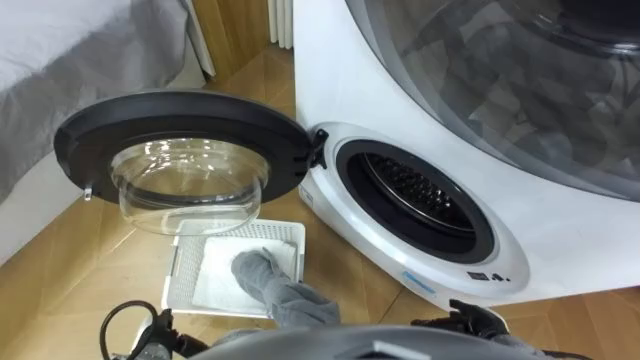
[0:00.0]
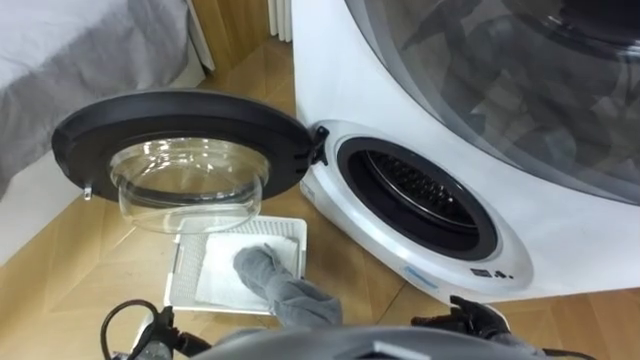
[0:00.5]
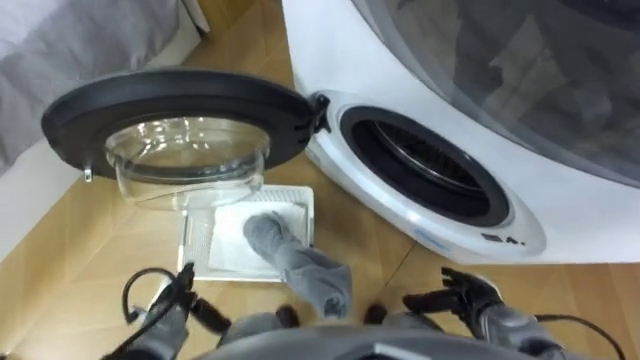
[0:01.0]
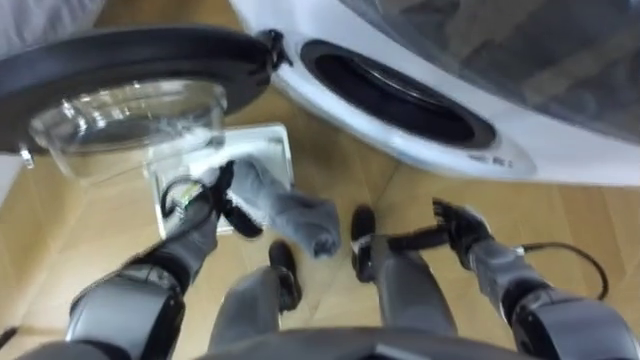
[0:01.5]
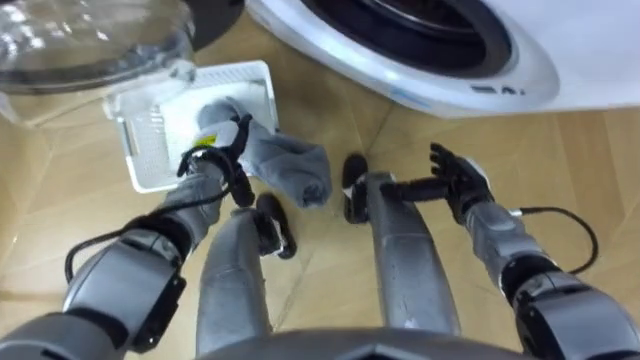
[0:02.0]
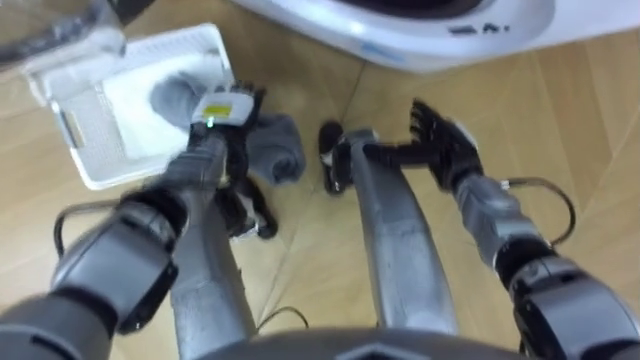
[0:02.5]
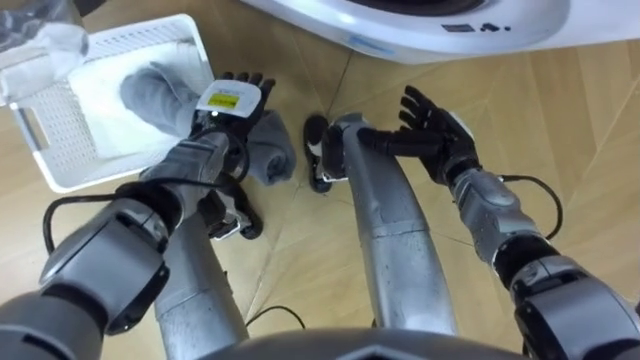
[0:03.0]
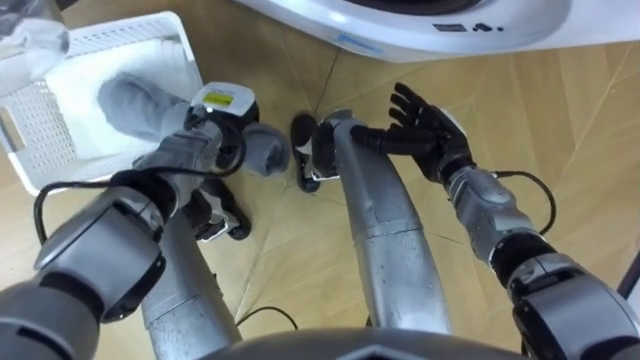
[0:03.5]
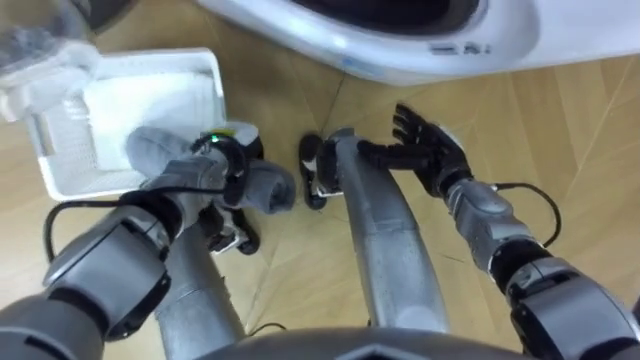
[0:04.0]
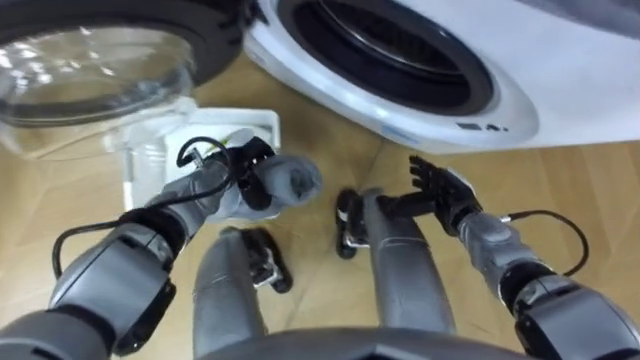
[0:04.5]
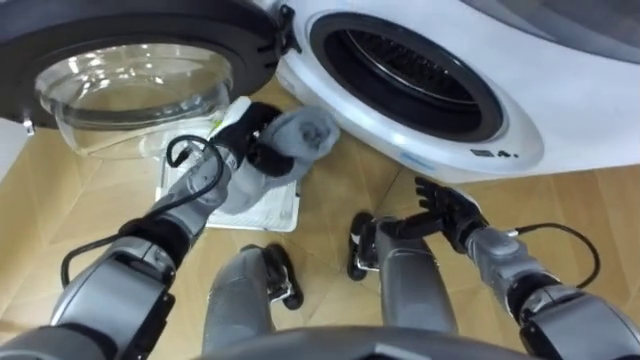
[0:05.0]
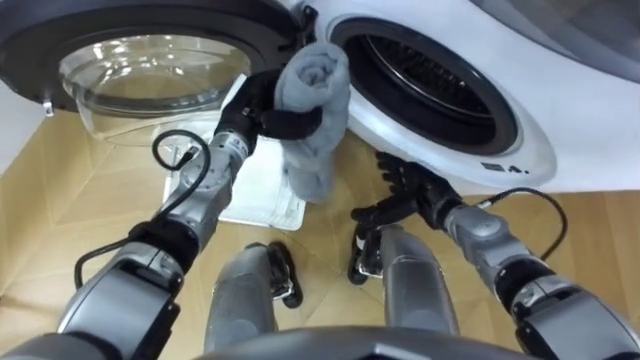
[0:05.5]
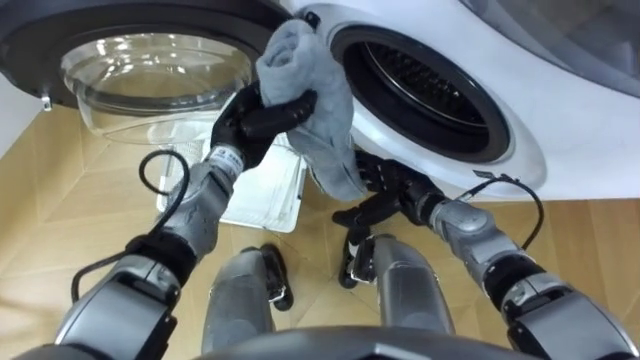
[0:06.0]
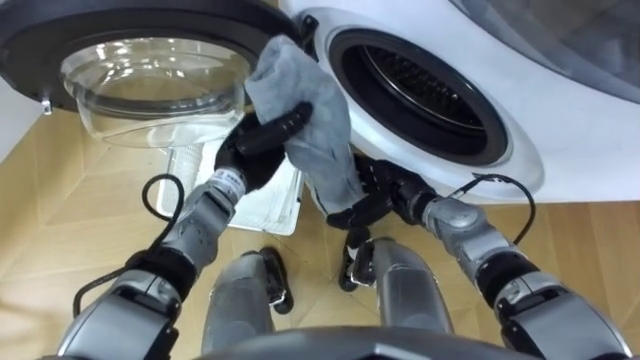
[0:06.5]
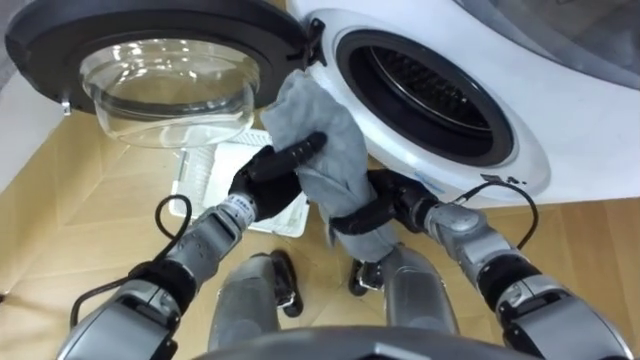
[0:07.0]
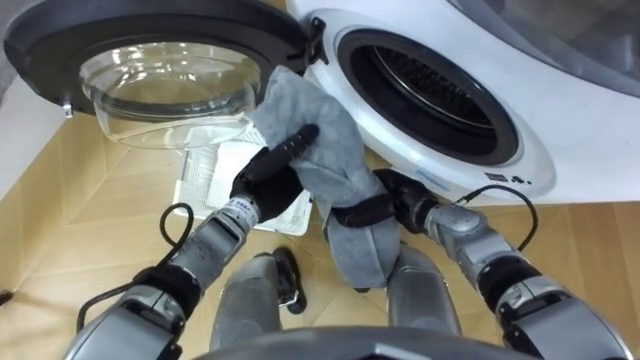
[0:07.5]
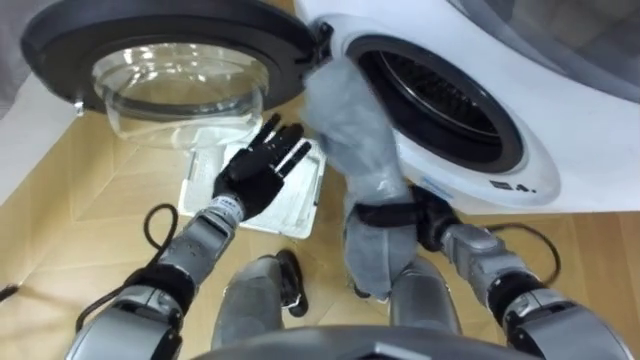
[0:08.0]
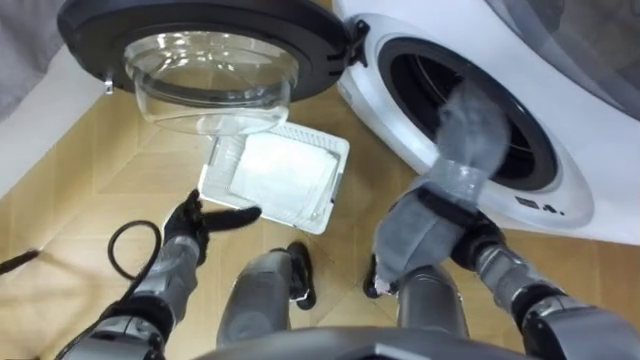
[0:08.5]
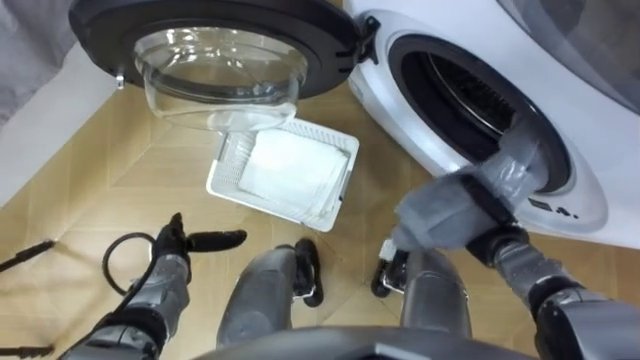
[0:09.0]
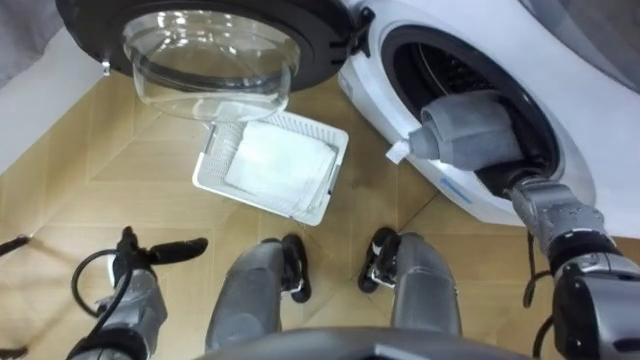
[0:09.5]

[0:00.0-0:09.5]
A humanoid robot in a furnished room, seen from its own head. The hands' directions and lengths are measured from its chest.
Task of the whole recording: Take the towel from the basket and put it into the washing machine.
0:02.0 to 0:04.0: The right hand shifts by approximately 5 cm. The left hand closes up.
0:04.0 to 0:05.5: The left hand is displaced upward by approximately 5 cm.
0:05.5 to 0:07.5: The right hand closes its fingers. Meanwhile the left hand shifts roughly 10 cm backward and downward.
0:07.5 to 0:09.5: The right hand goes approximately 15 cm to the right. The left hand travels to the left and backward by approximately 25 cm, and opens its fingers.

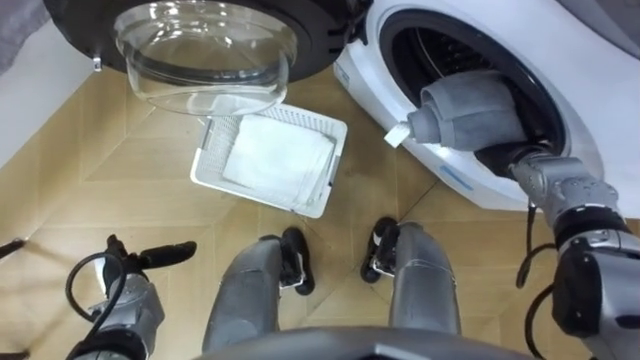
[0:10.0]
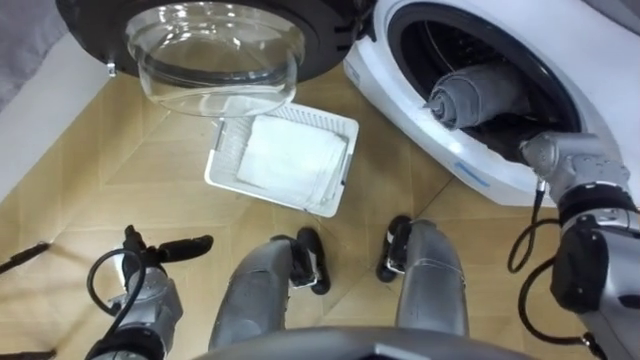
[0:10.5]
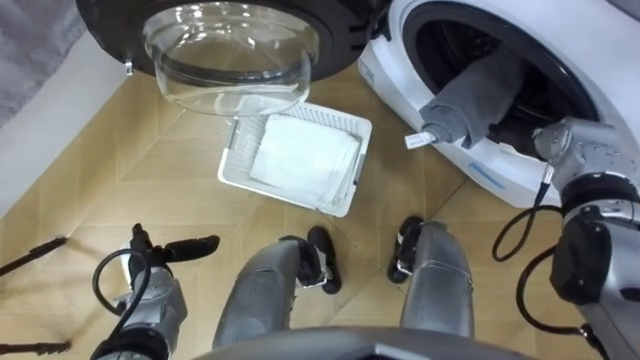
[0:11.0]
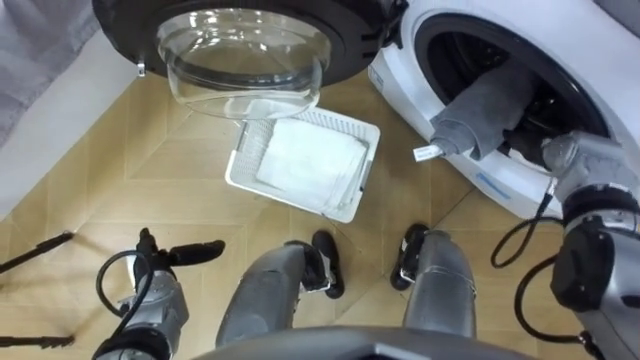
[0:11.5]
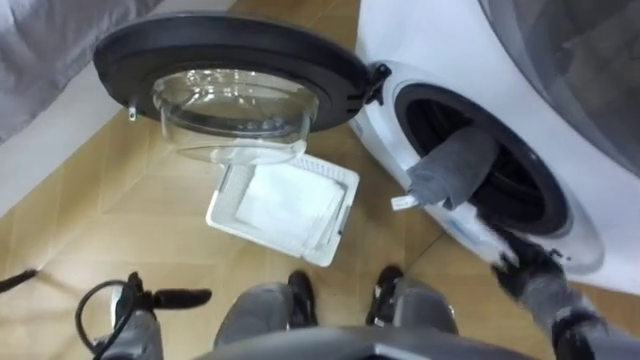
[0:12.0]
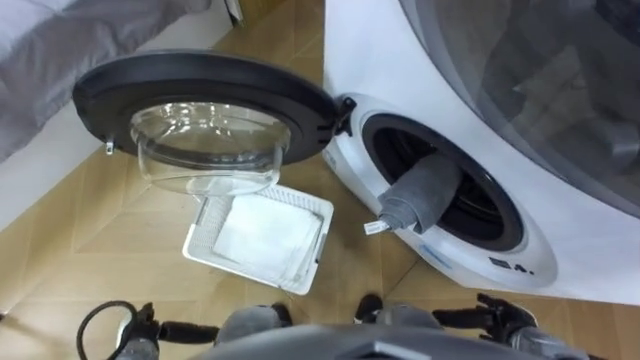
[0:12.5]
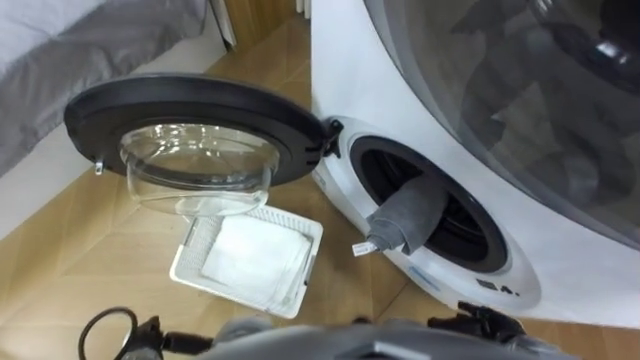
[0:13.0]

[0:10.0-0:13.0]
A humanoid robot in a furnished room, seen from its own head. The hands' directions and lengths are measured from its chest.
Task of the whole recording: Take the towel from the basket and put it into the washing machine.
0:10.0 to 0:11.5: The right hand opens.
0:11.5 to 0:13.0: The right hand shifts some 30 cm backward and downward, while the left hand heads backward, covering some 10 cm.

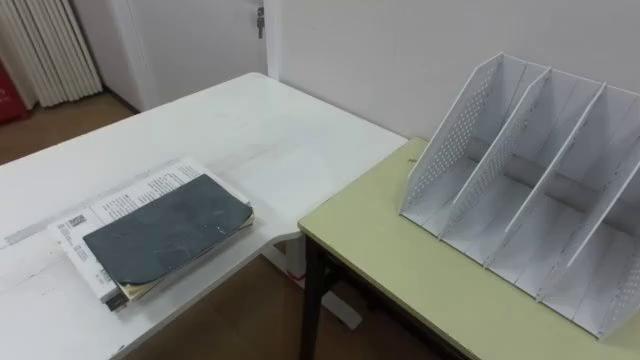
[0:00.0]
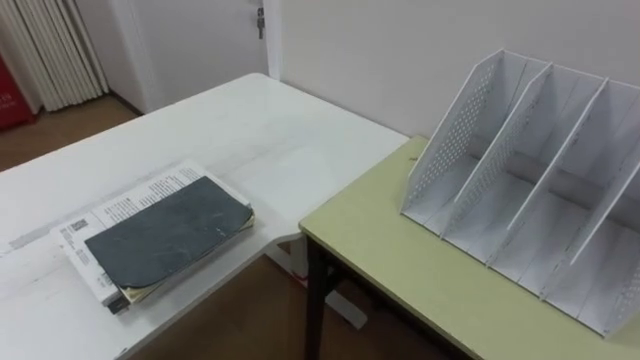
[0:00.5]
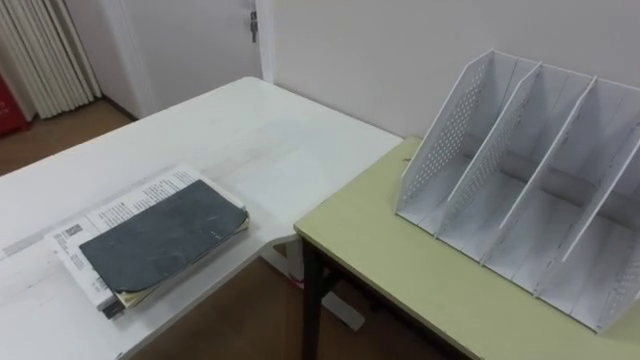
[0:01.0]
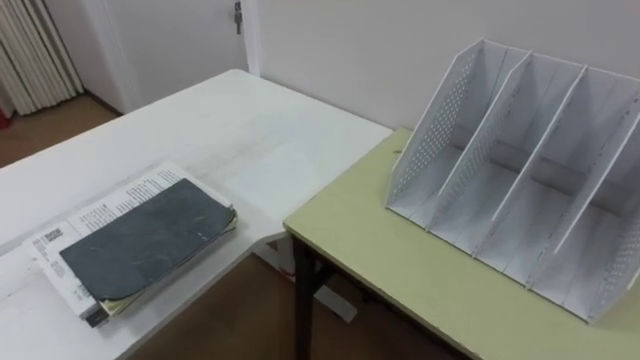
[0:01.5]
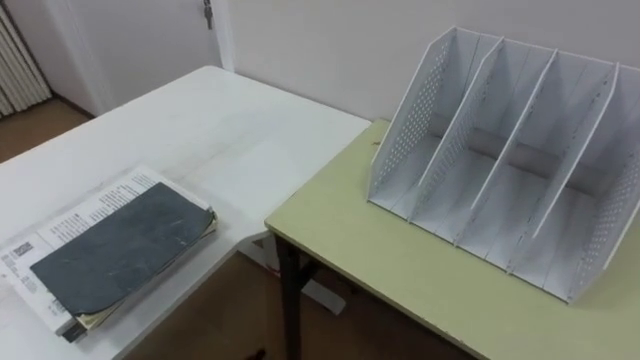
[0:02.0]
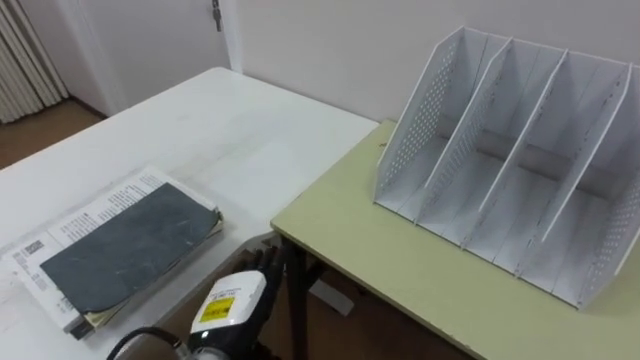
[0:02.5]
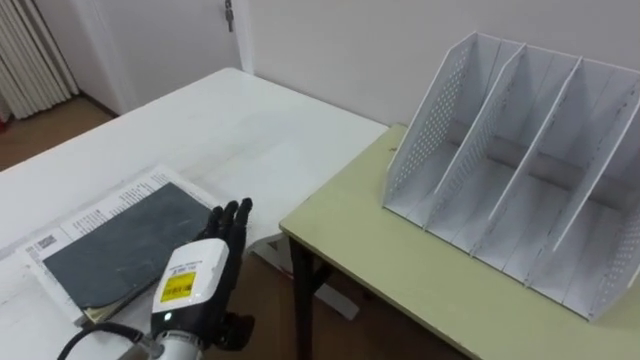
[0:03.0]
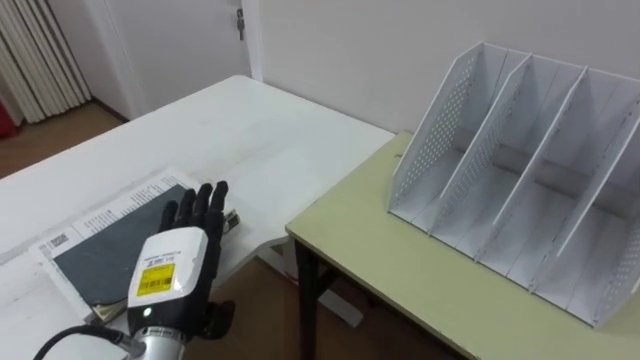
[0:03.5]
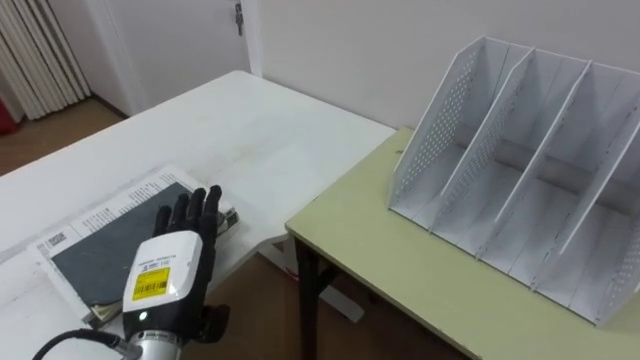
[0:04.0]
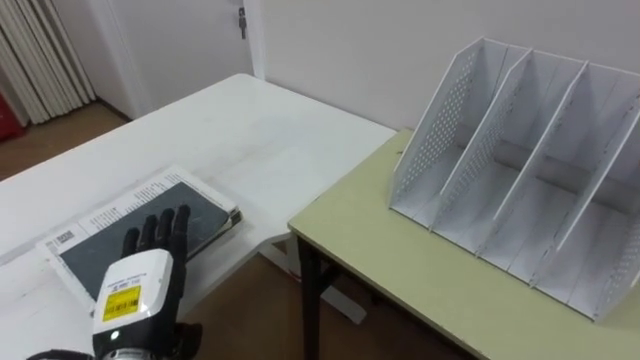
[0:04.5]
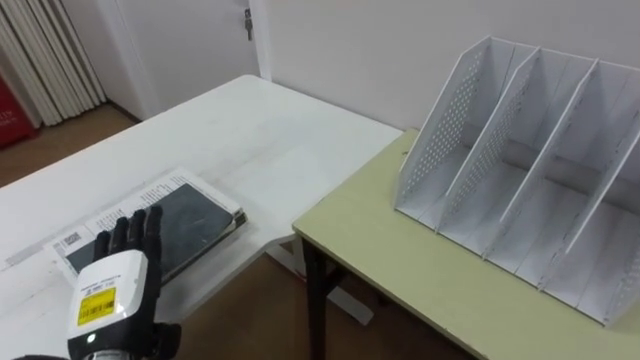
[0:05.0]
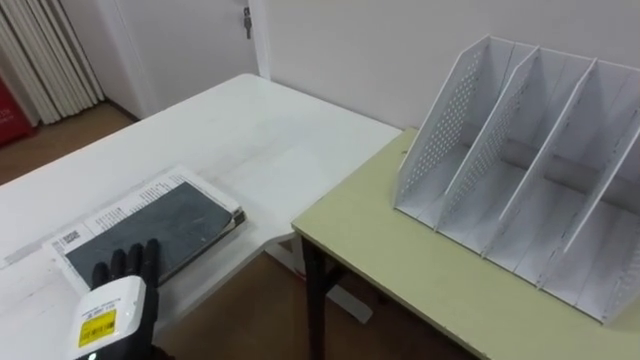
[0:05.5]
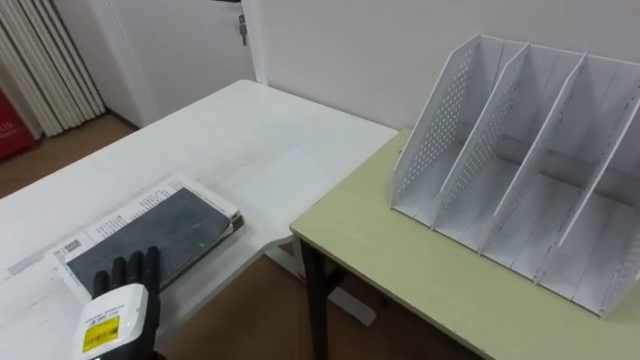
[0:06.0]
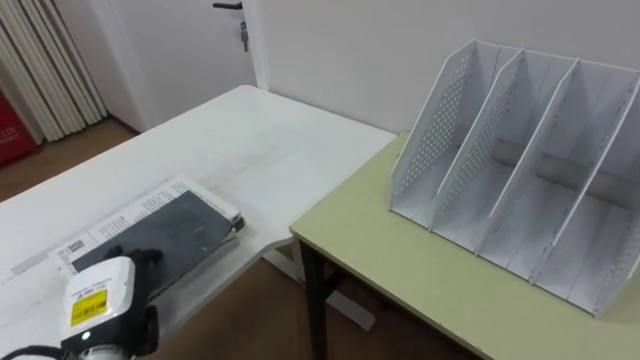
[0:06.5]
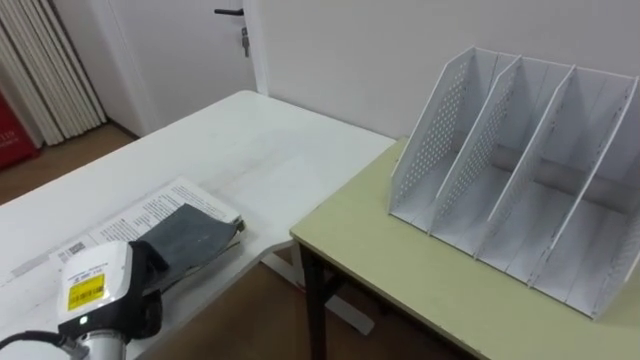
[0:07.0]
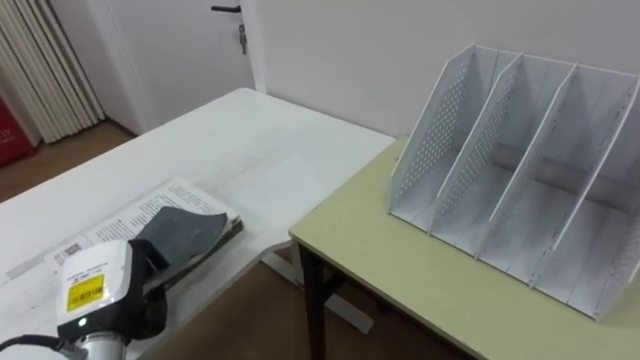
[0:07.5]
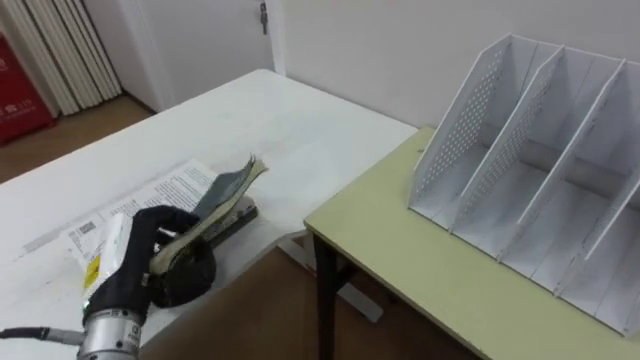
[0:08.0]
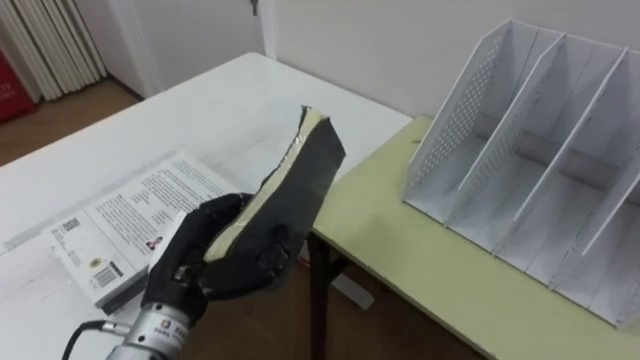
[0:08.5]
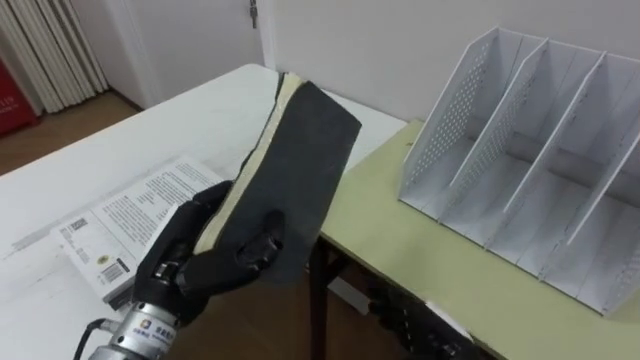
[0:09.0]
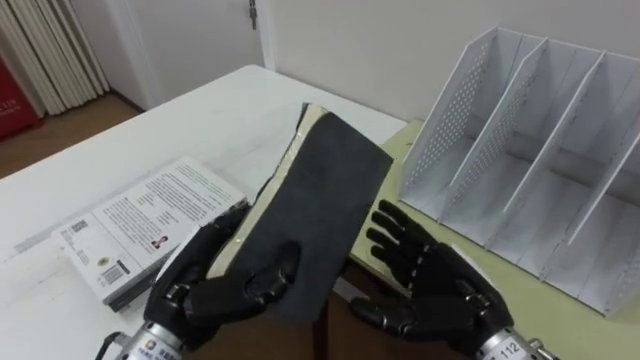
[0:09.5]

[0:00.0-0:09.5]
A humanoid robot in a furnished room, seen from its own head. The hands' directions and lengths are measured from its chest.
Task of the whole recording: Put the books on the table onto the bookshelf.
0:04.0 to 0:05.5: The left hand moves to the left, some 5 cm.
0:05.5 to 0:07.5: The left hand closes.
0:07.5 to 0:09.5: The left hand moves to the right and upward, some 10 cm.
